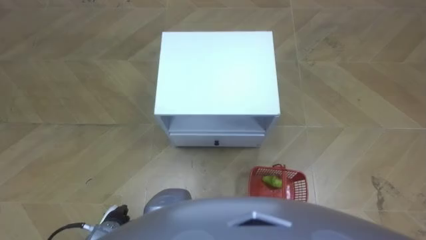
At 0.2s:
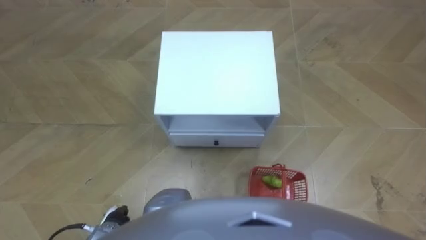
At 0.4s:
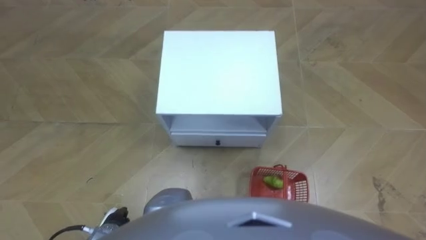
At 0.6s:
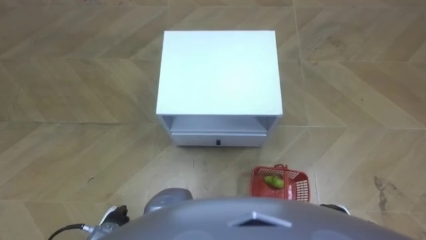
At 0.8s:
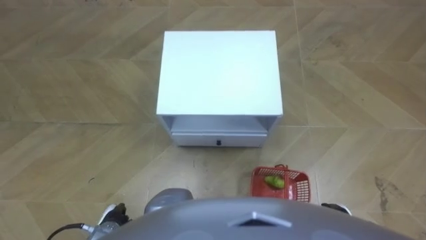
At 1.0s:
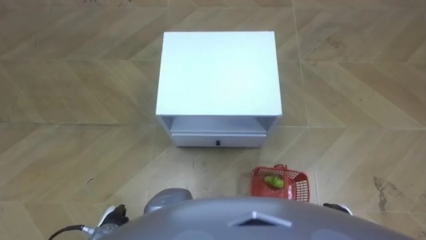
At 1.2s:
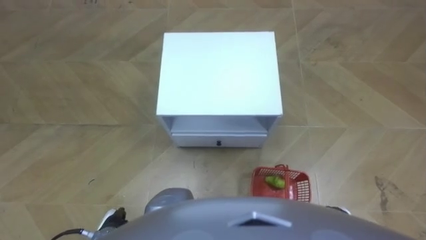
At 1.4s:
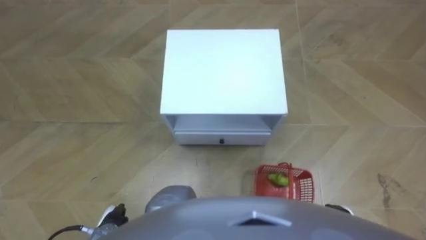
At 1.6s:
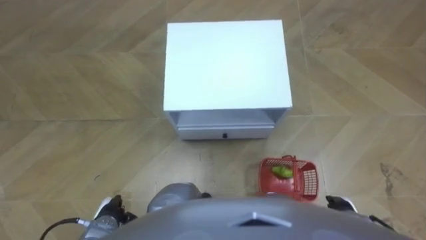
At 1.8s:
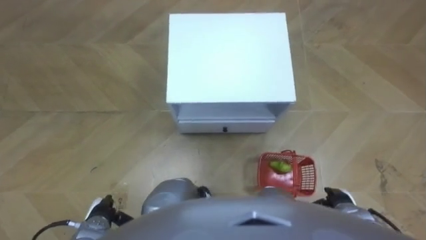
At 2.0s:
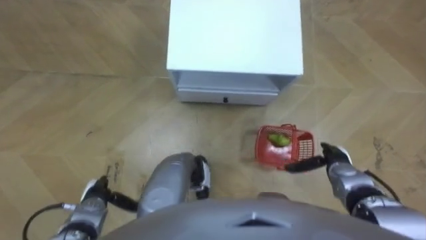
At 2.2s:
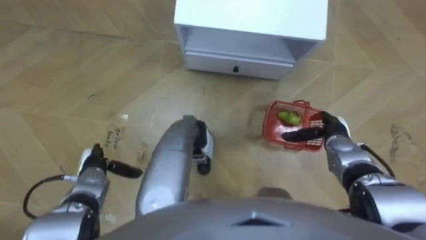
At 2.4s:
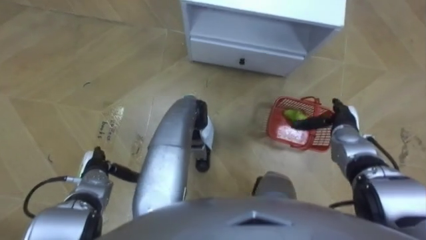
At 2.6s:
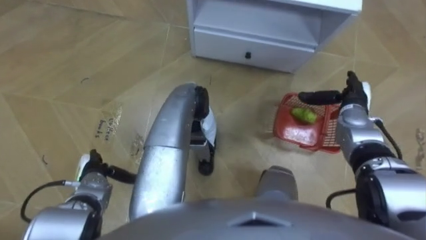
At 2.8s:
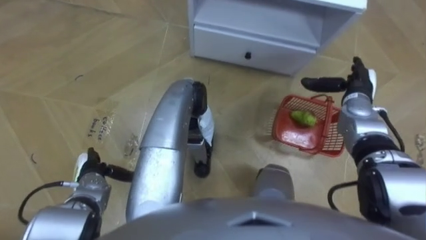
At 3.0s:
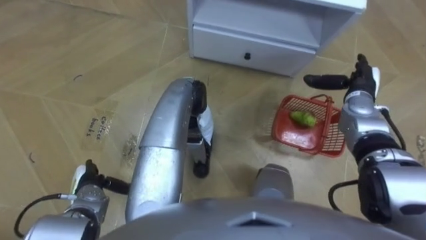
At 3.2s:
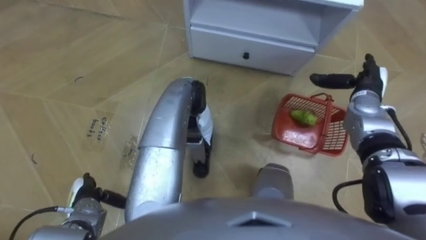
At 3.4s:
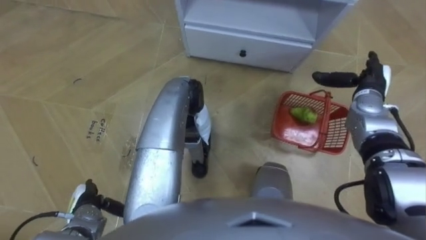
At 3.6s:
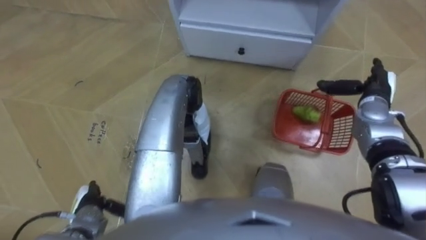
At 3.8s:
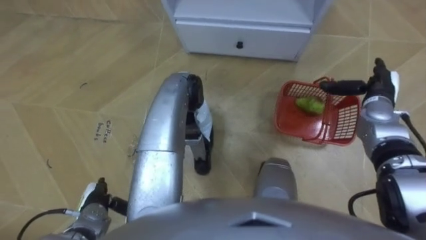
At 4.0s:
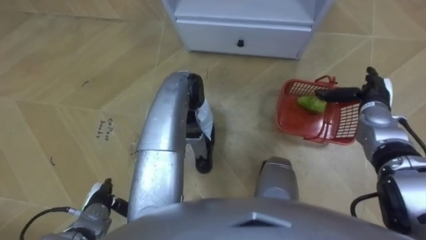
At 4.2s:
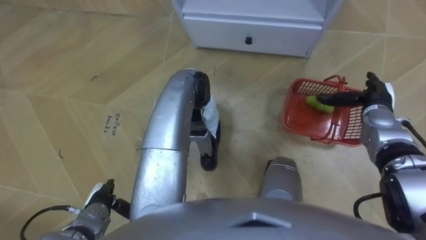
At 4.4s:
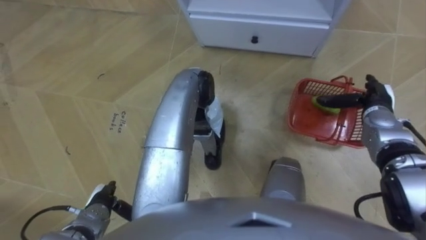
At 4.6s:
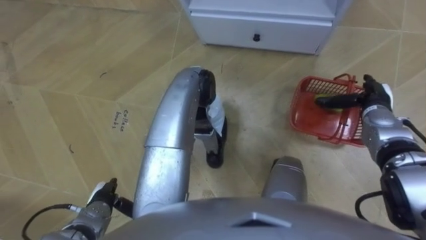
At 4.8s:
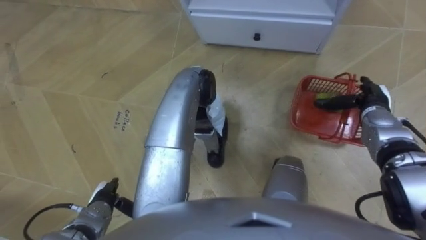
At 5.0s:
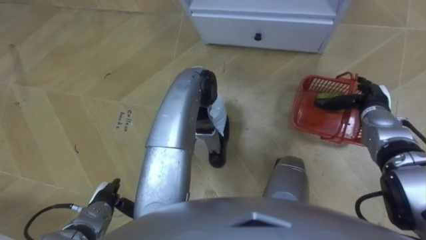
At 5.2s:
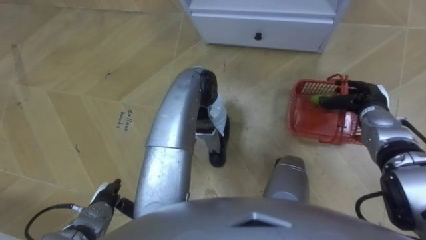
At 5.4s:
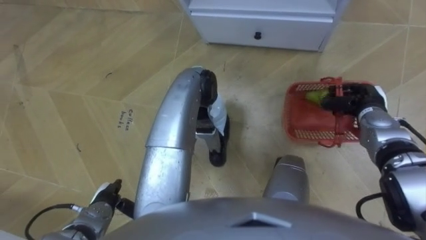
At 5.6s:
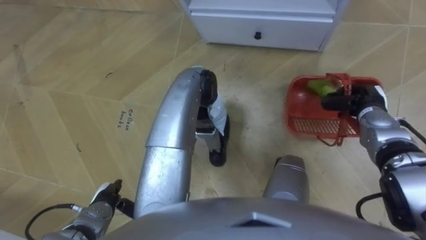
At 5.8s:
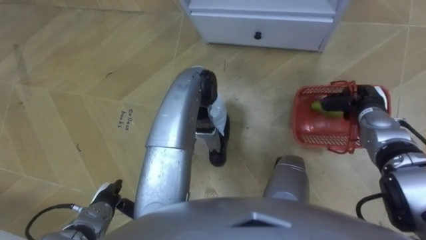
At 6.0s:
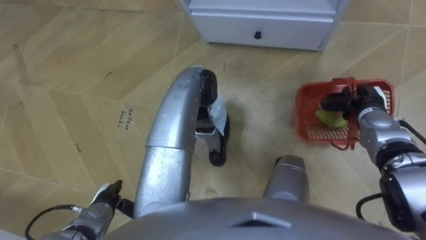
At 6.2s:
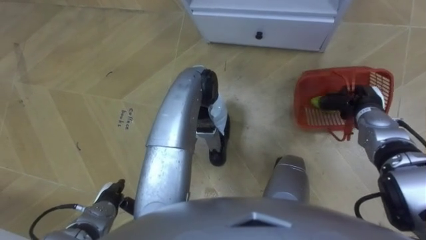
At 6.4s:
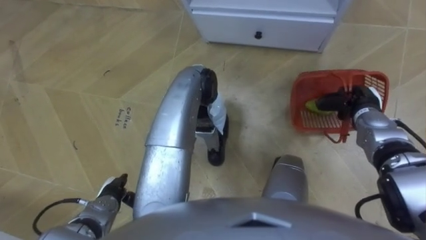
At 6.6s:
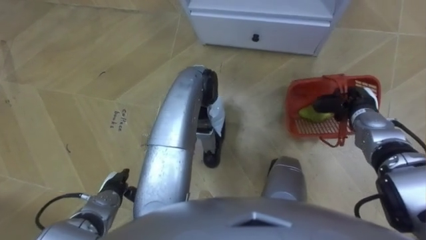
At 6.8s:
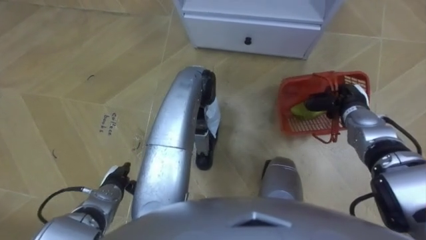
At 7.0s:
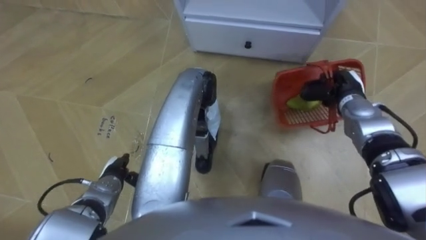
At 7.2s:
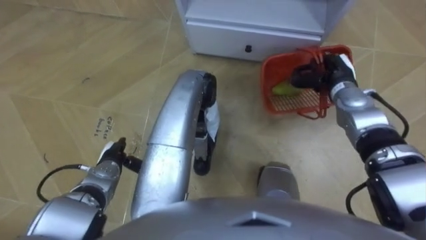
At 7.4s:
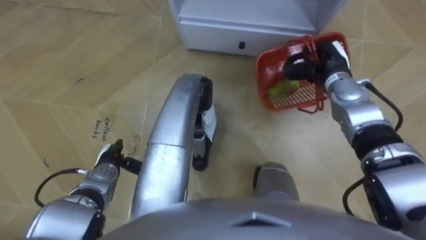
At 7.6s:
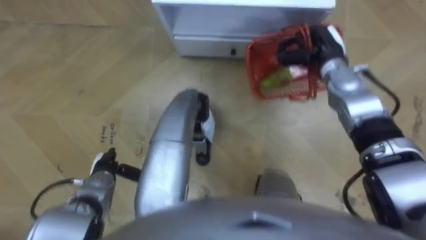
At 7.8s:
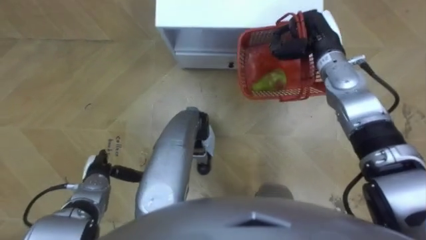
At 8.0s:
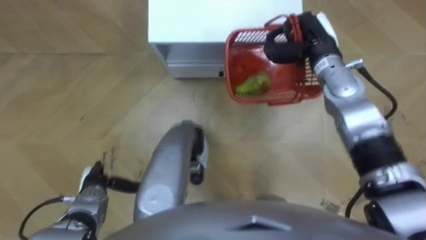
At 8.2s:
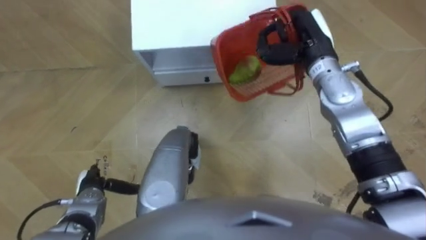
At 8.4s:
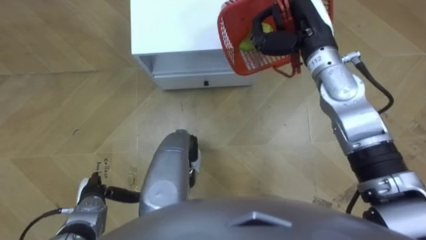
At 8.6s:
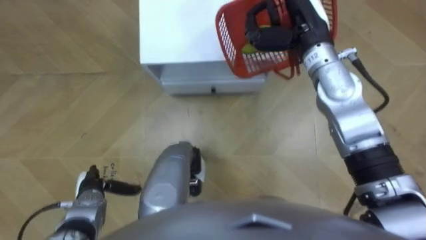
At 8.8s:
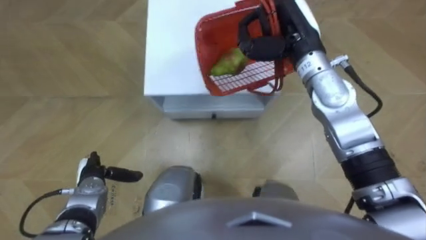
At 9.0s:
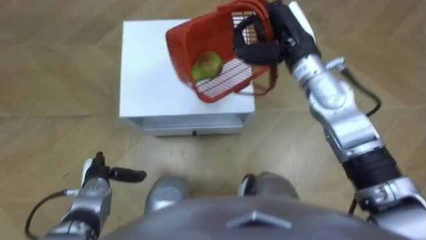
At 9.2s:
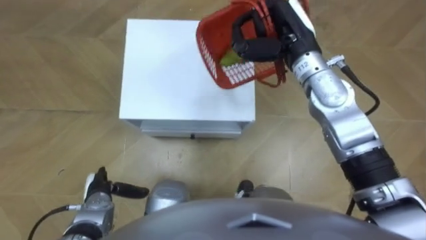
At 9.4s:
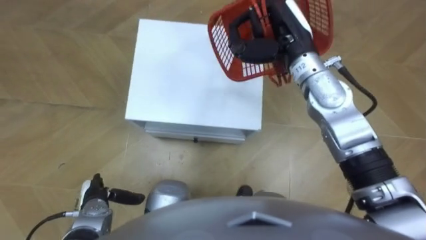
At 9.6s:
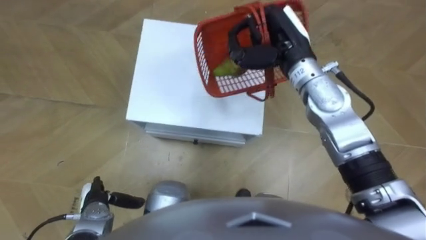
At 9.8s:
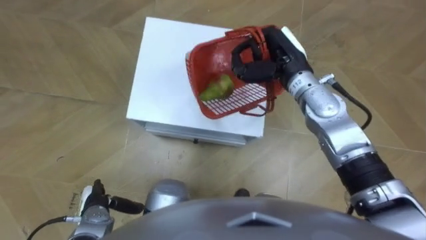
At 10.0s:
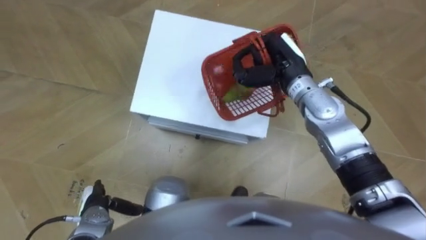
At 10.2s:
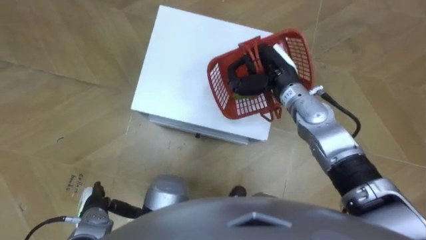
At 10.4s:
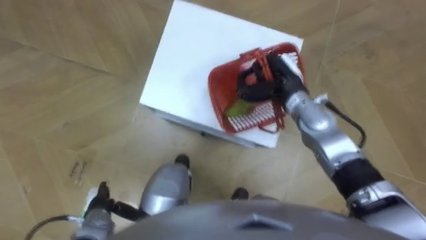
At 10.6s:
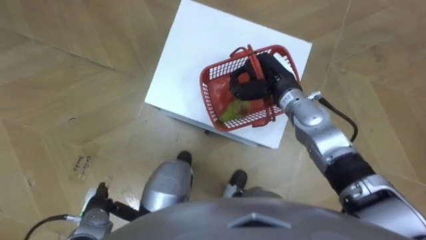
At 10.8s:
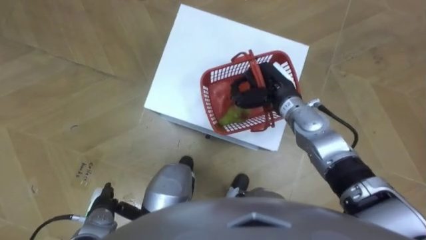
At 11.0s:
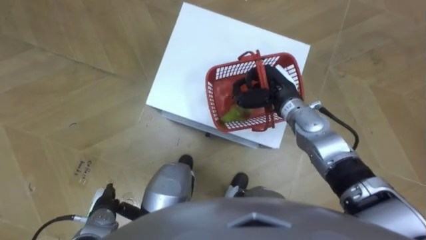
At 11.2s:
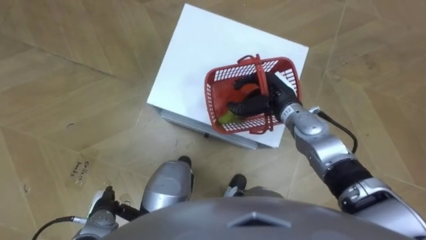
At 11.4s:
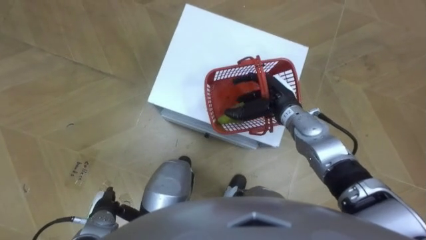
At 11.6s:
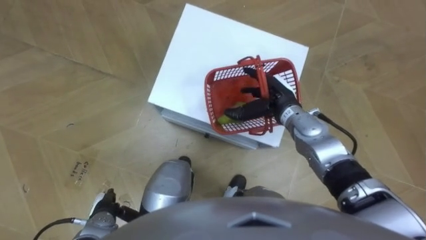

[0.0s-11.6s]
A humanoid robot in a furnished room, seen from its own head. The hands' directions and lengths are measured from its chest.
Task of the whole recording: Pick up the fruit basket from the floor and place it on the cabinet.
1.4s to 2.8s: The left hand is displaced forward and to the left by roughly 15 cm. Meanwhile the right hand moves forward and upward, about 30 cm.
2.8s to 4.4s: The right hand moves some 5 cm, while the left hand heads backward, covering about 10 cm.
4.4s to 5.8s: The right hand closes.
5.8s to 7.2s: The right hand goes some 10 cm to the left and forward, while the left hand heads forward, covering roughly 10 cm.
7.2s to 8.8s: The right hand heads upward and to the left, covering about 15 cm.
8.8s to 10.2s: The right hand heads downward, covering some 10 cm, while the left hand goes some 5 cm backward.
10.2s to 11.6s: The right hand moves downward, roughly 5 cm, and opens.

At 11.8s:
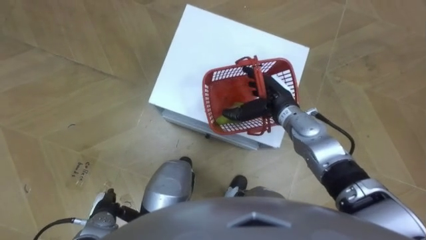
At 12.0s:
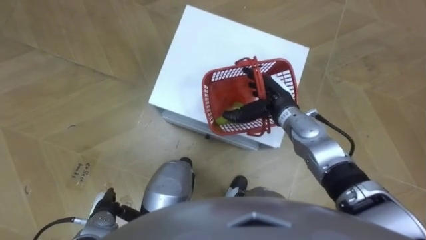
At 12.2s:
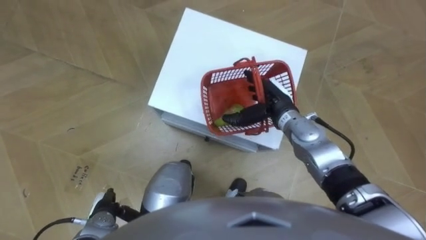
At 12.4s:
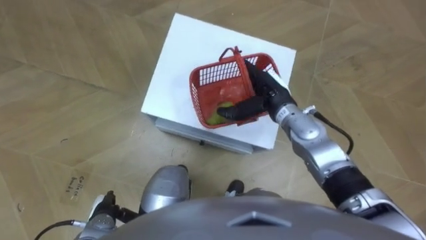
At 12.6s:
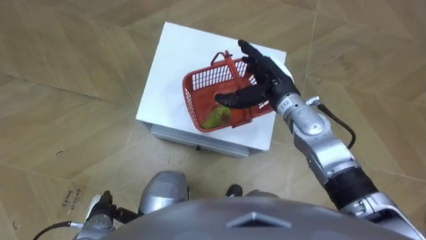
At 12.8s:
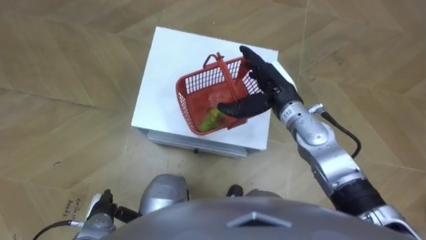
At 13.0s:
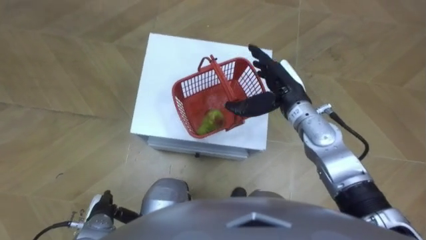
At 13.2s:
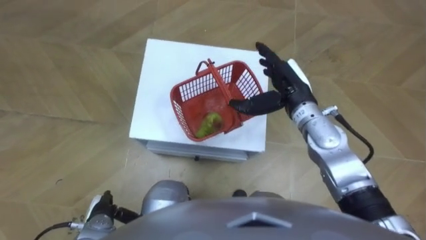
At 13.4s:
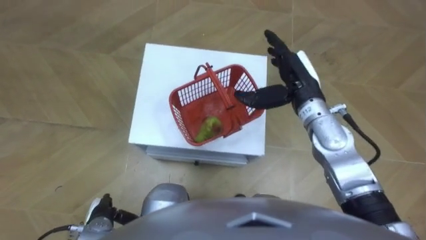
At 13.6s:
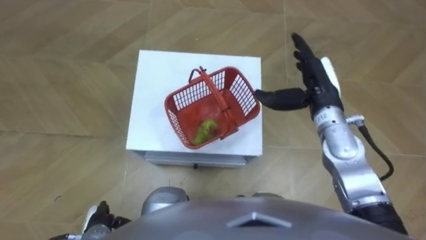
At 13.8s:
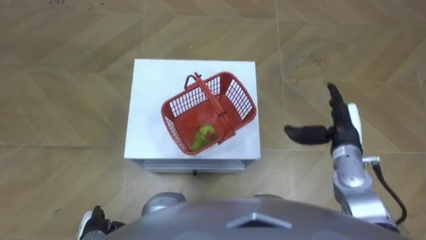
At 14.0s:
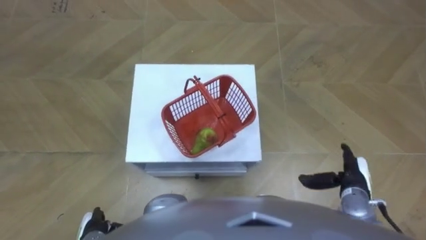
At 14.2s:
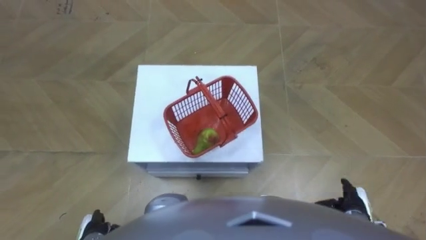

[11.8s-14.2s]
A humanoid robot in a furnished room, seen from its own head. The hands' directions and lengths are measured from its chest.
Task of the whole recording: Pick up the fruit basket from the floor and place it on the cabinet.
11.8s to 13.0s: The right hand travels upward by some 5 cm.
13.0s to 14.2s: The right hand is displaced backward, to the right and downward by about 30 cm.

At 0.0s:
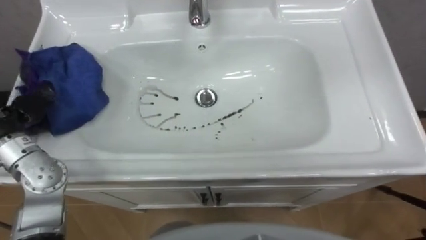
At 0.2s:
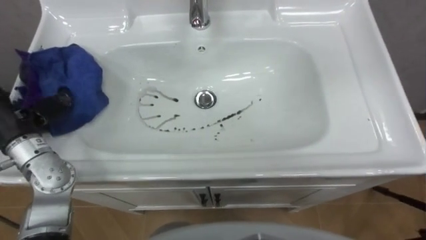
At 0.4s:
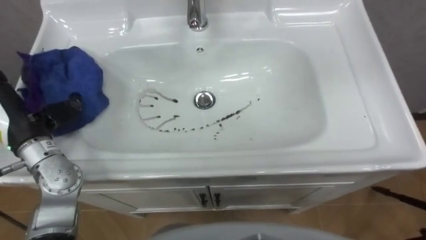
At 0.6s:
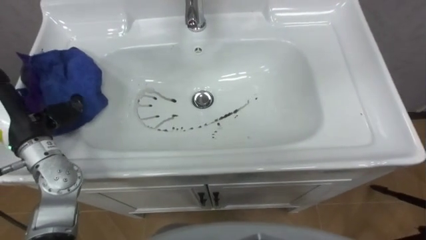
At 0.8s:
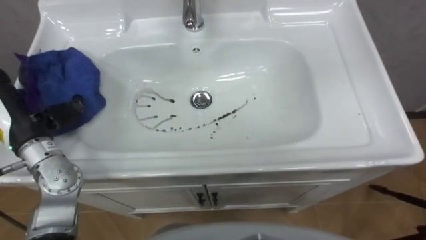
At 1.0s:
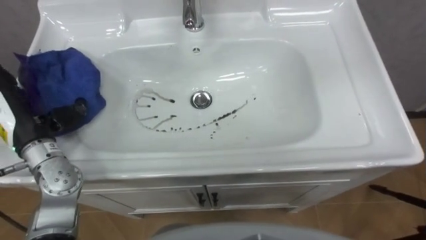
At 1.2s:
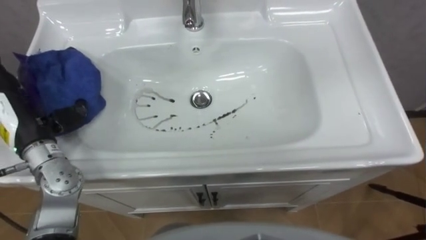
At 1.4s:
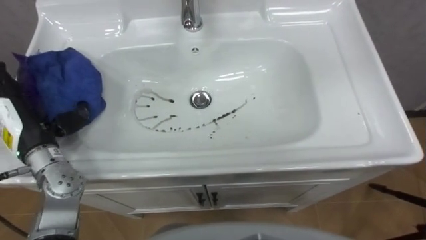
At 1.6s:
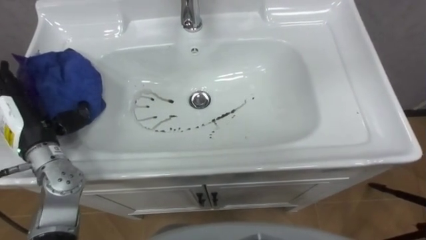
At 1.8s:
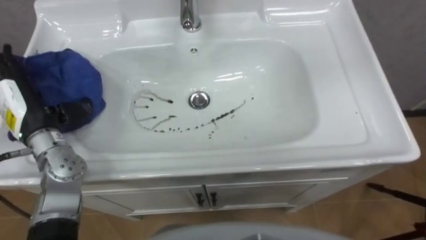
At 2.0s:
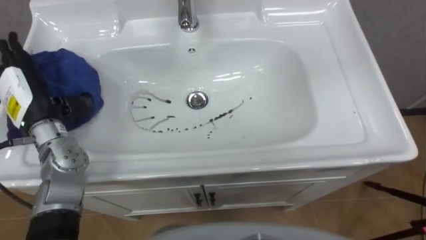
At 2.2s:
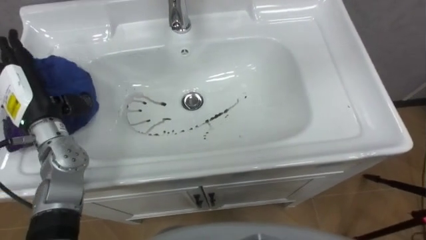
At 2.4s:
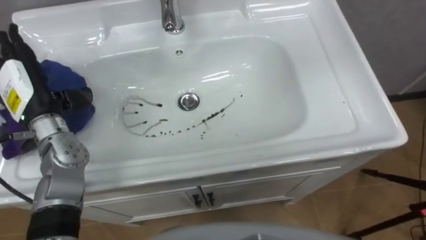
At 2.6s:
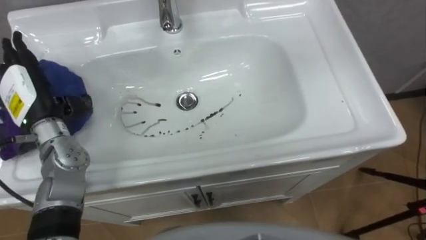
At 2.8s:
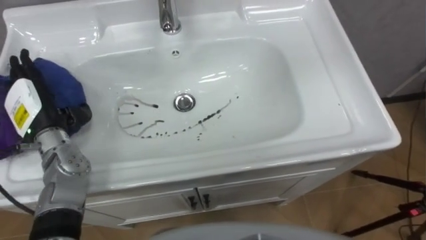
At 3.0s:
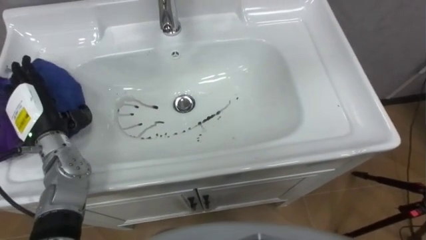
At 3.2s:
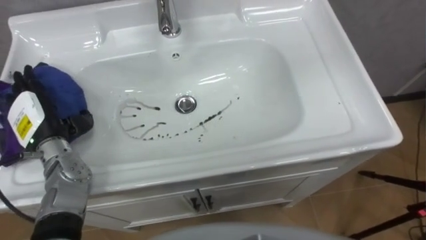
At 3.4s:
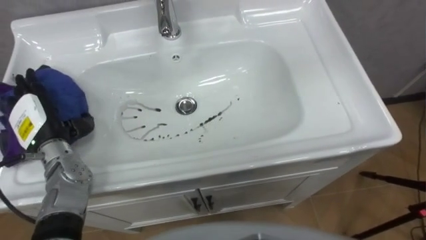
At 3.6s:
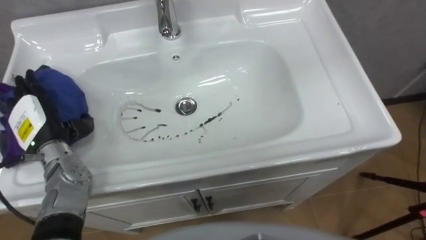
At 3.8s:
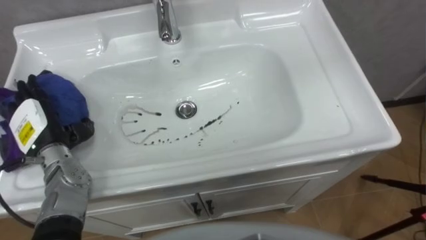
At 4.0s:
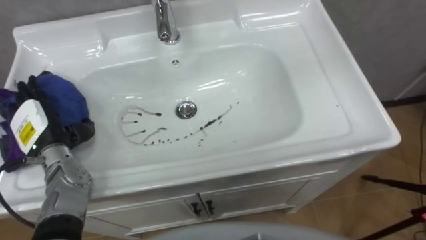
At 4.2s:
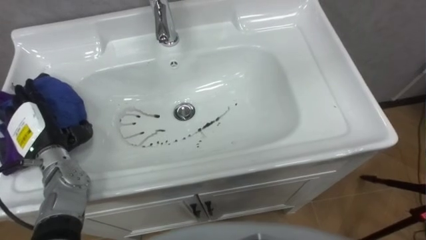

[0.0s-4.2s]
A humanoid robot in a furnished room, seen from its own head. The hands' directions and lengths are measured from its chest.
Task of the whole recording: Use the cloth on the right to wipe away the black stain in the sink.
2.8s to 4.2s: The left hand moves about 5 cm.
